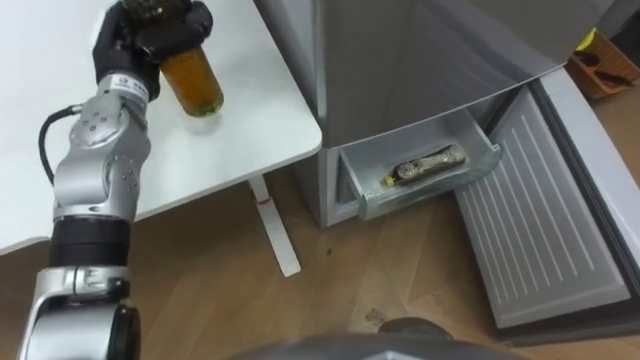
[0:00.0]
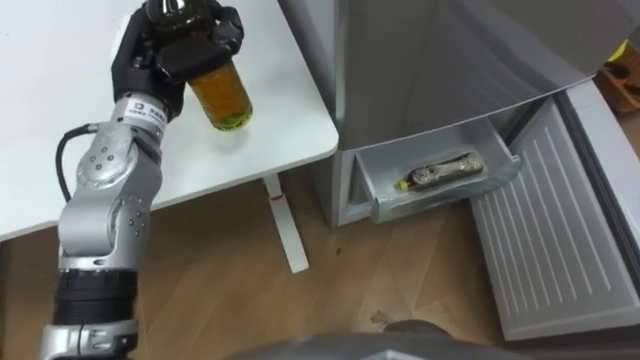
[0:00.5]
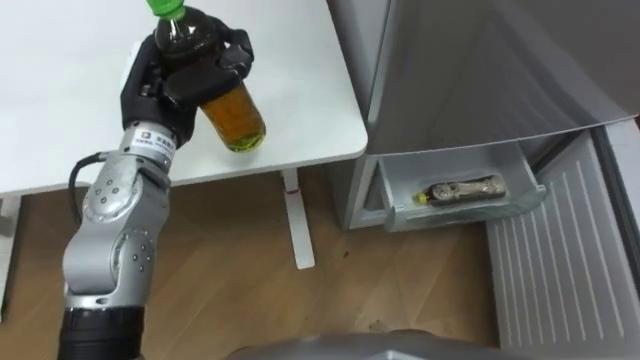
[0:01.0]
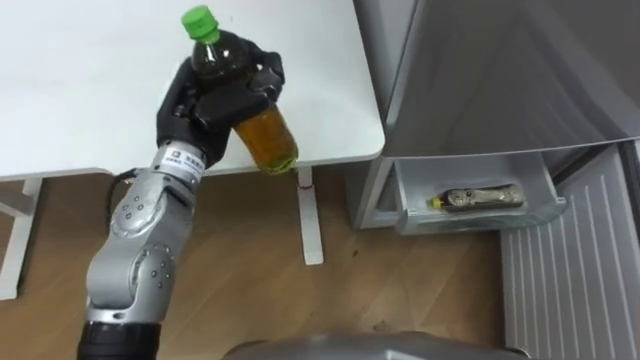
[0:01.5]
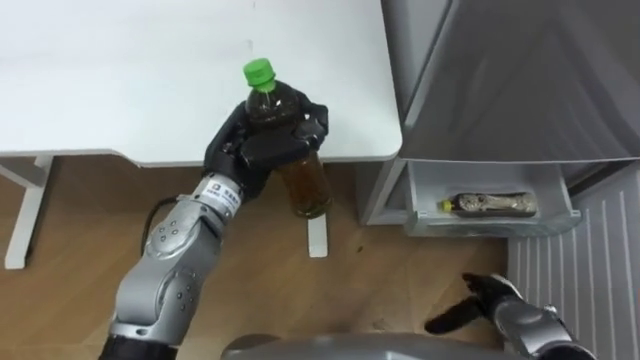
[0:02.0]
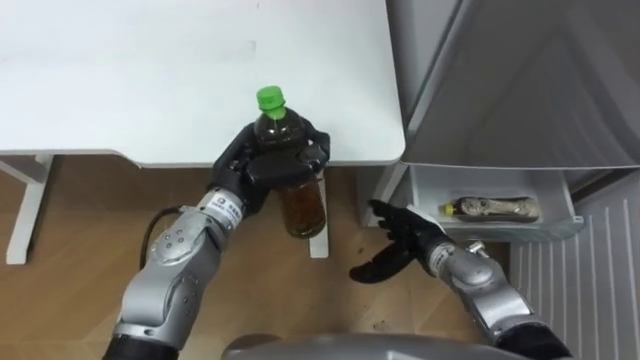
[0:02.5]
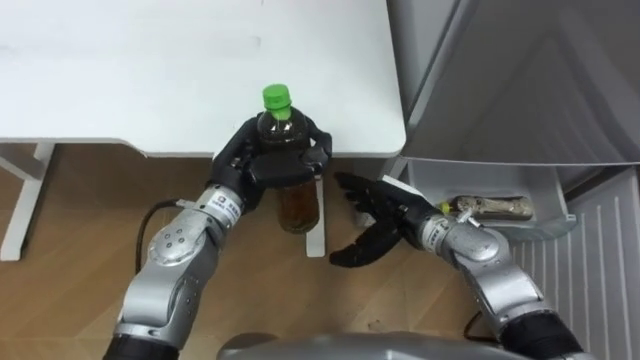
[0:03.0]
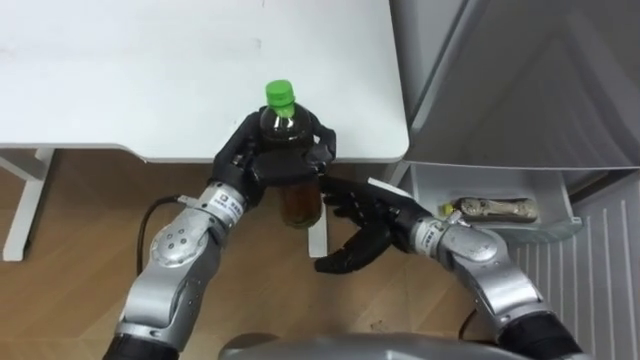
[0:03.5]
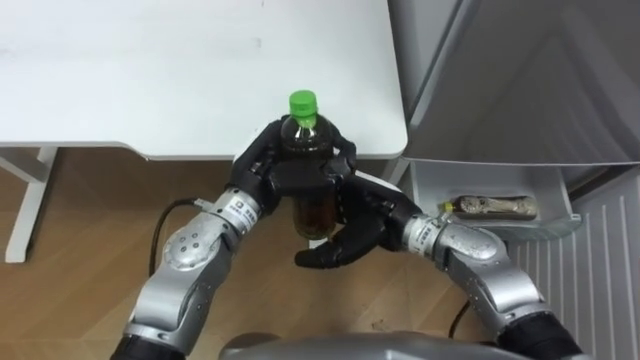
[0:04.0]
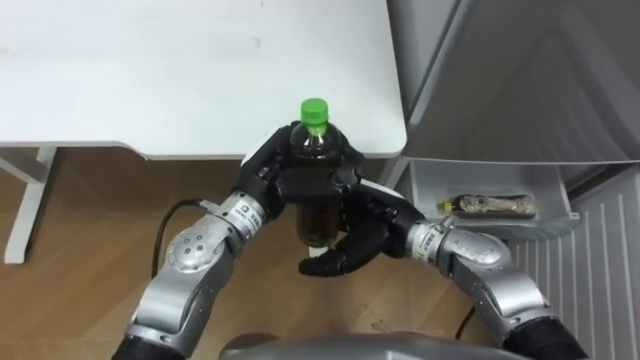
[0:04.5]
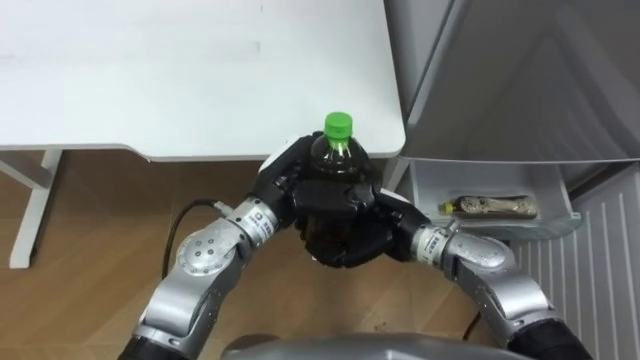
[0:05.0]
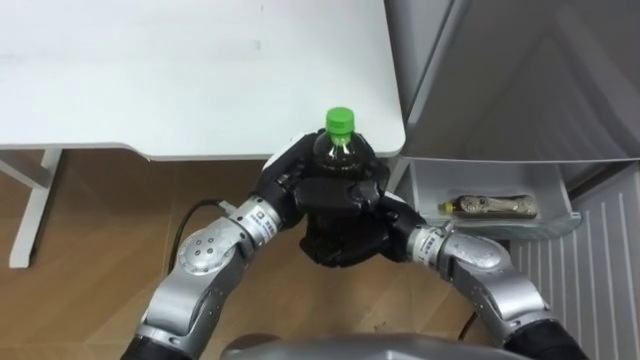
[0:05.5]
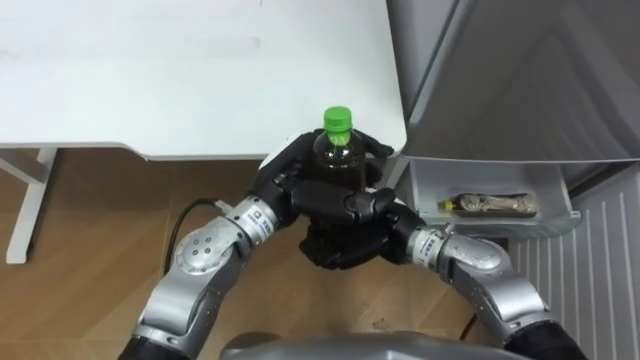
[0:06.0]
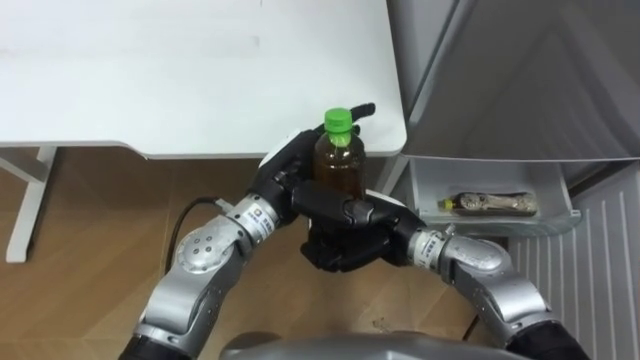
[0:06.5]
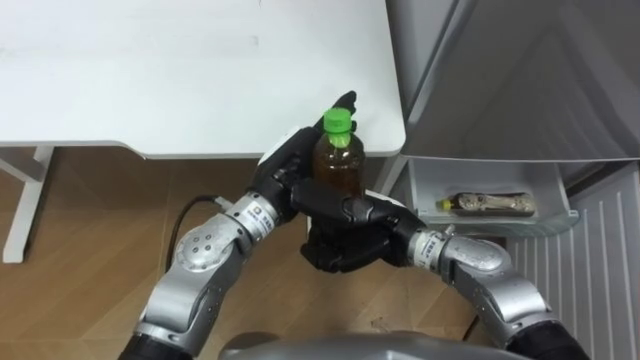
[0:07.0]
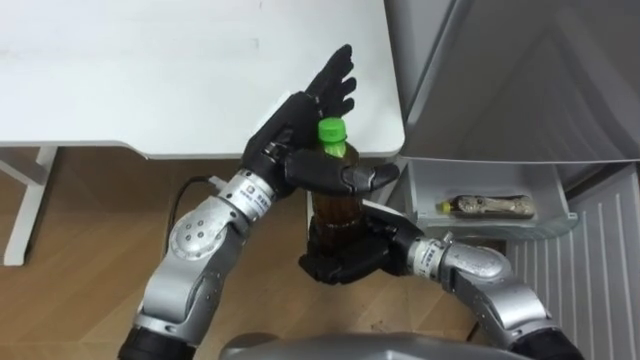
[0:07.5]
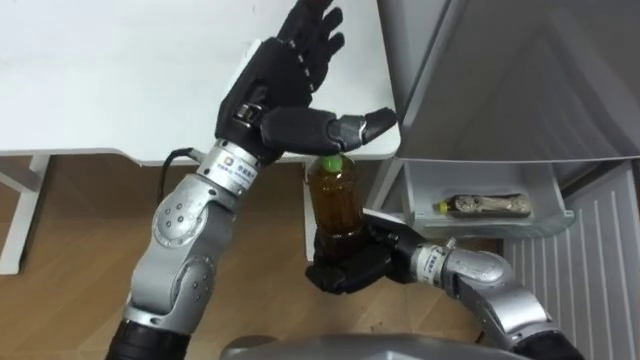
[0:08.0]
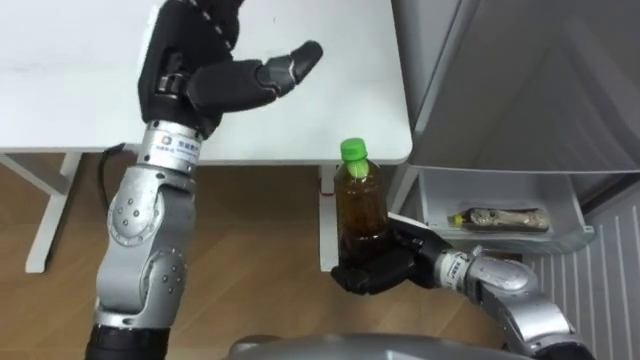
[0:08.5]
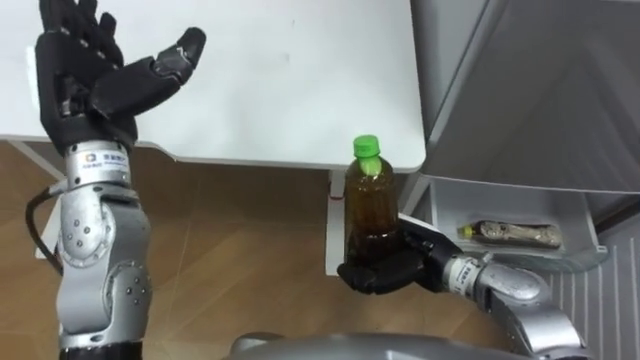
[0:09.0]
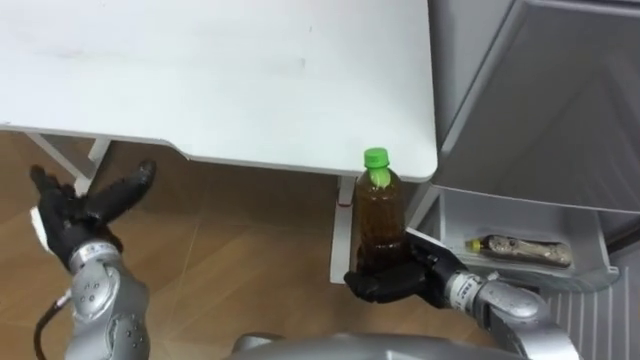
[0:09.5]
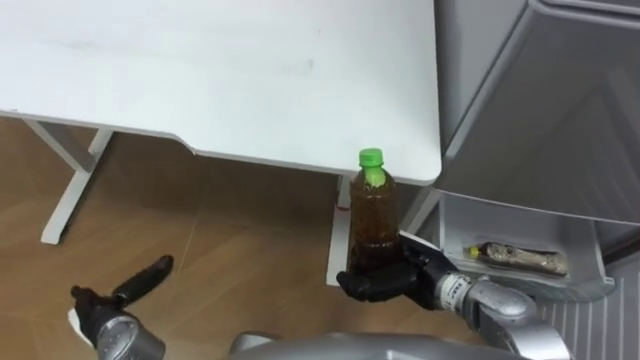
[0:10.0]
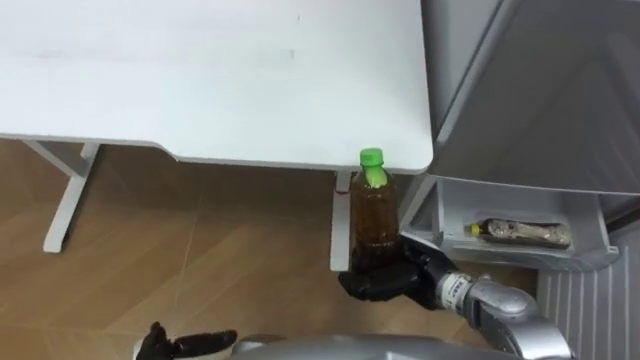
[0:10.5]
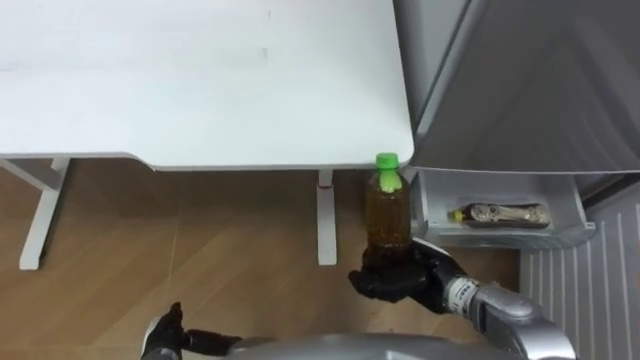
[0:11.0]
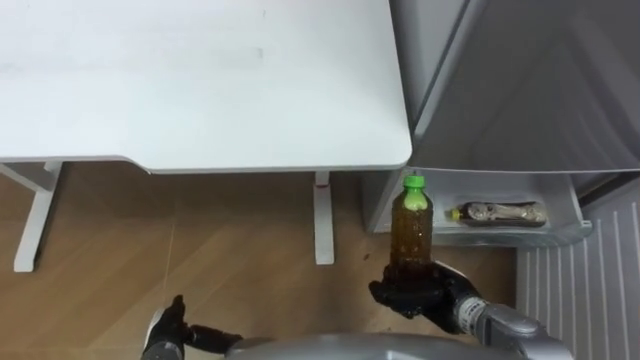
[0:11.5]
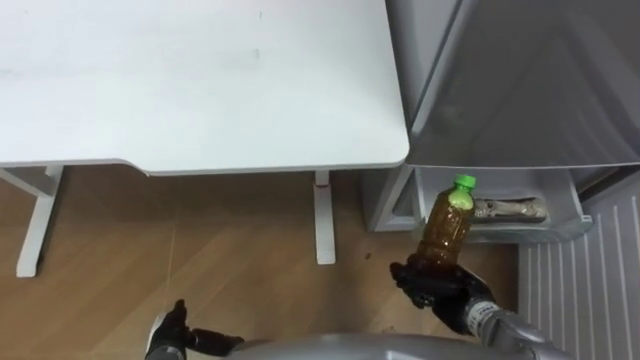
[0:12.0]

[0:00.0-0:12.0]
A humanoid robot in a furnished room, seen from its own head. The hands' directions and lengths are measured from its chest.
Task of the whole recording: Place the drink on the table on the bottom shelf of the refrigerator, then close the drawer and the refrigerator door.
0:00.0 to 0:02.0: The left hand shifts approximately 15 cm to the right and backward.
0:02.0 to 0:04.0: The right hand is displaced to the left, upward and forward by approximately 25 cm.
0:04.0 to 0:06.0: The right hand closes its fingers.
0:06.0 to 0:08.0: The left hand travels upward by roughly 10 cm, and opens its fingers.
0:08.0 to 0:10.0: The right hand goes roughly 5 cm to the right; the left hand heads downward, to the left and backward, covering roughly 40 cm.
0:10.0 to 0:12.0: The right hand shifts about 10 cm to the right and downward.

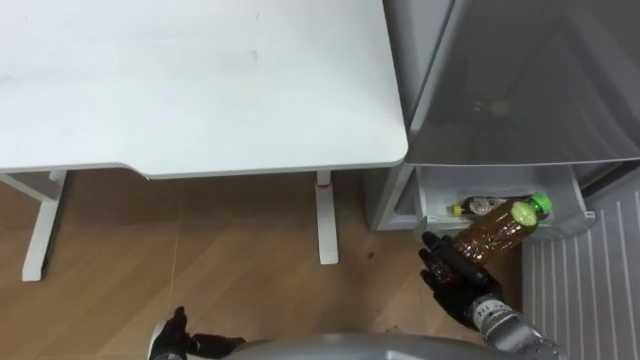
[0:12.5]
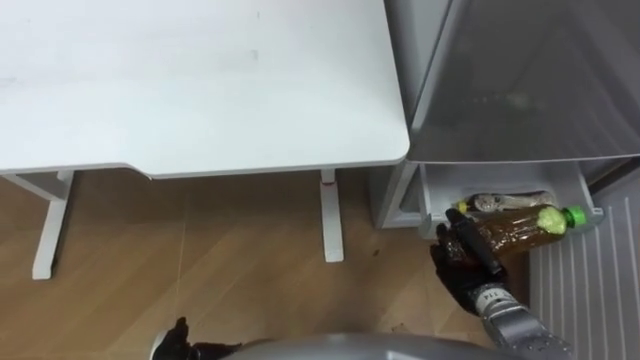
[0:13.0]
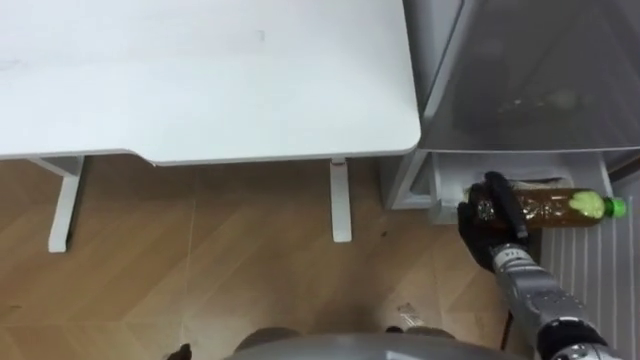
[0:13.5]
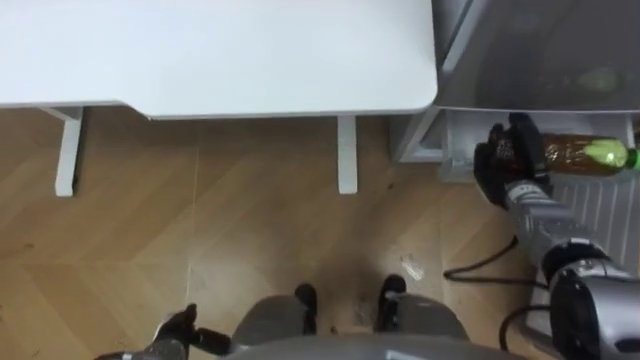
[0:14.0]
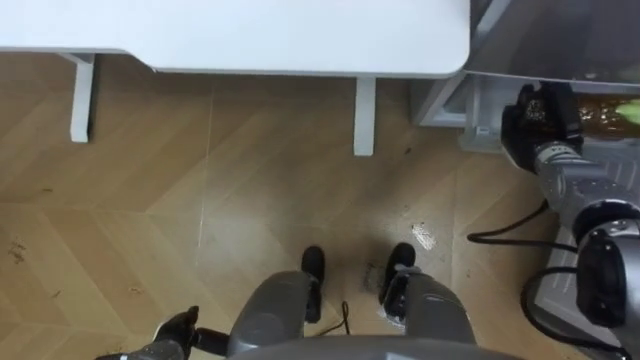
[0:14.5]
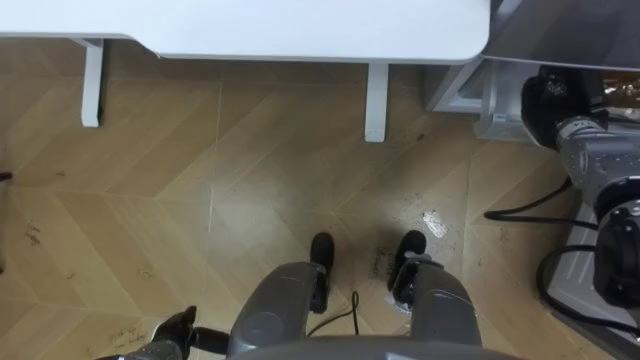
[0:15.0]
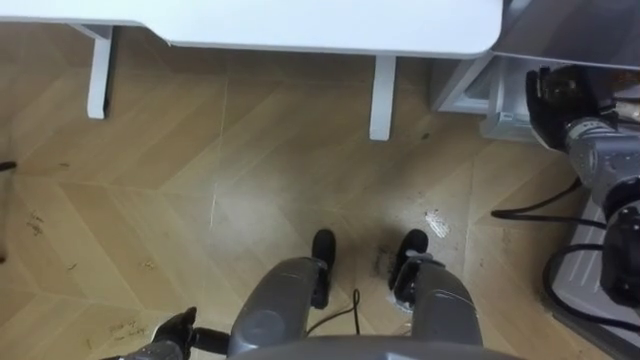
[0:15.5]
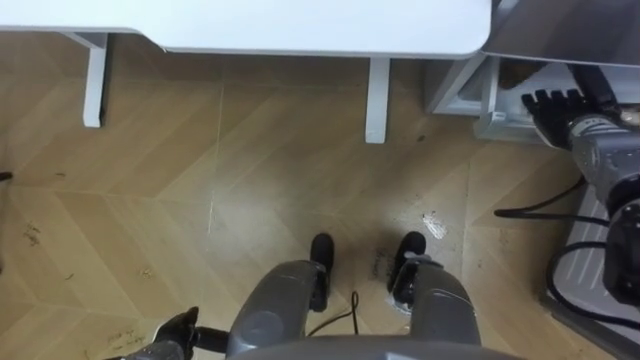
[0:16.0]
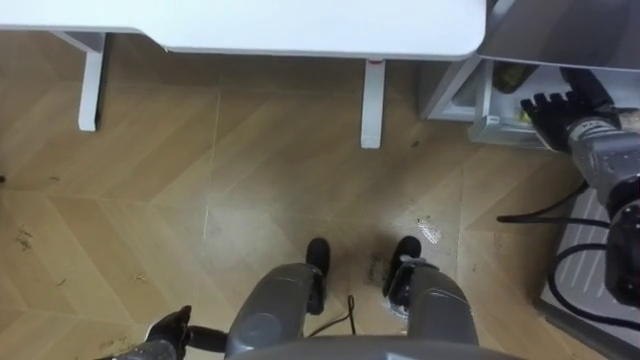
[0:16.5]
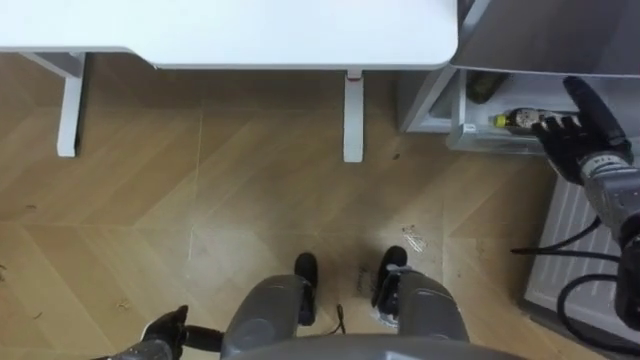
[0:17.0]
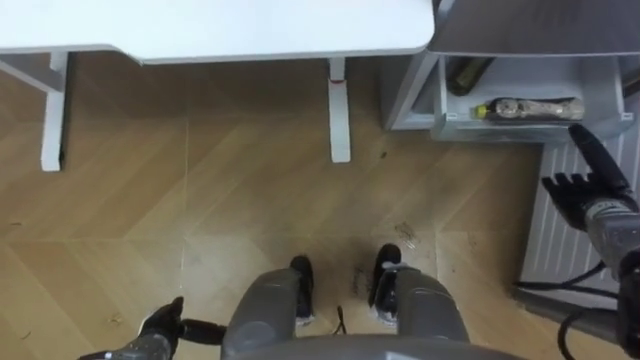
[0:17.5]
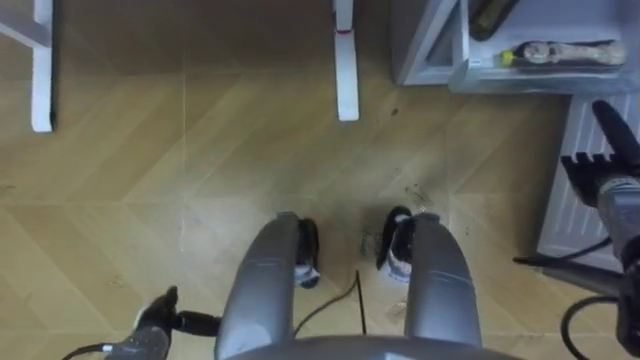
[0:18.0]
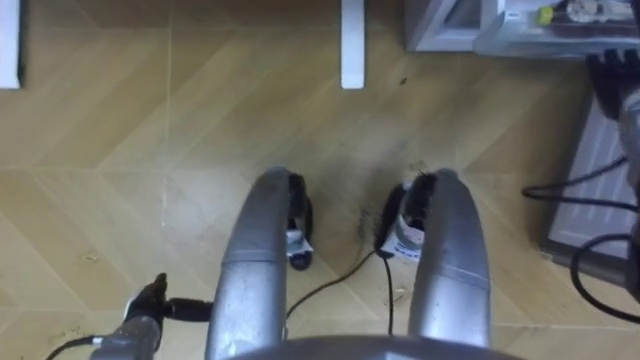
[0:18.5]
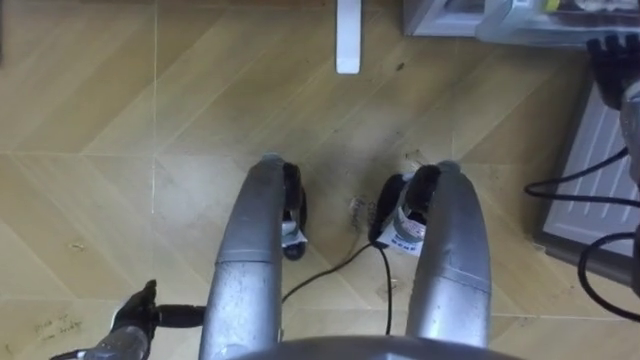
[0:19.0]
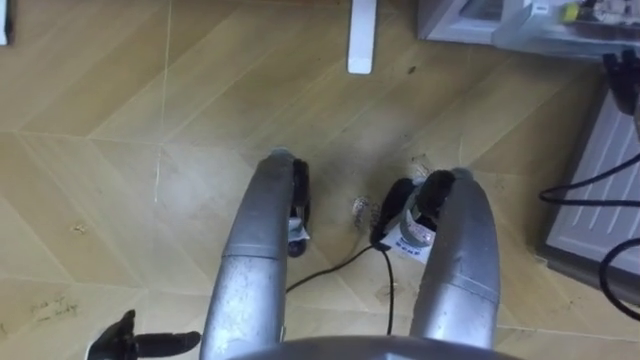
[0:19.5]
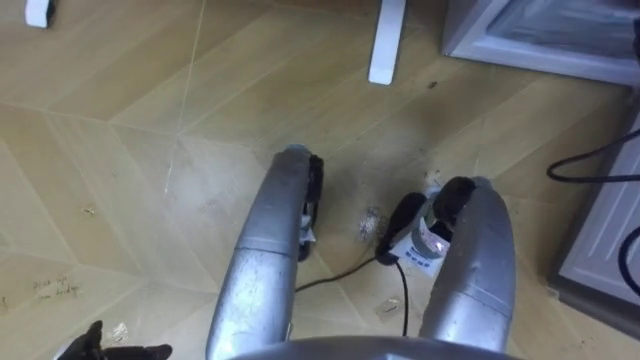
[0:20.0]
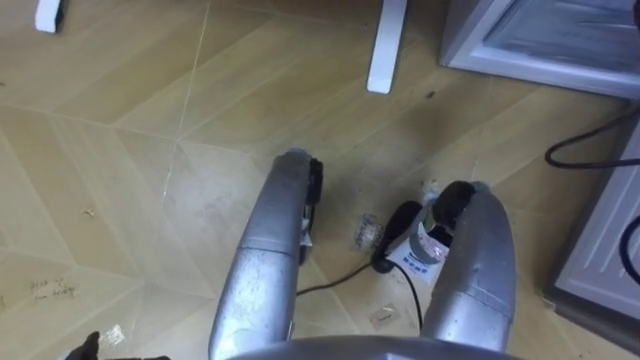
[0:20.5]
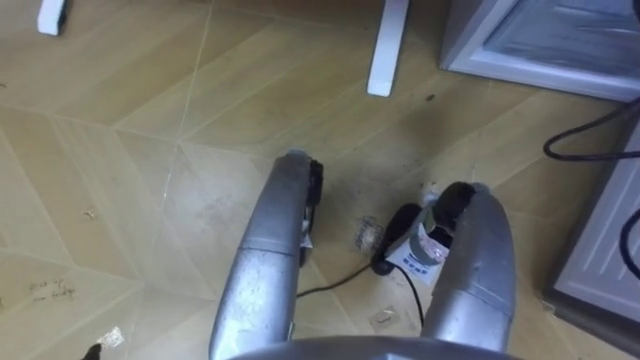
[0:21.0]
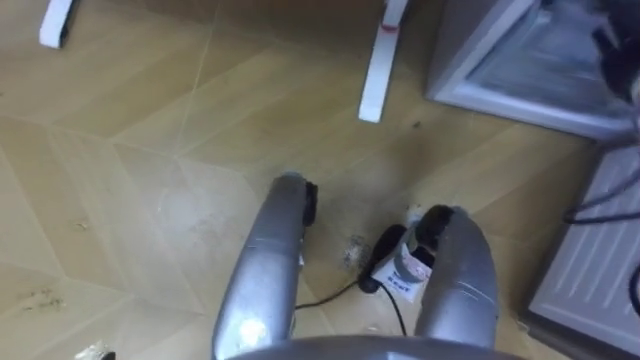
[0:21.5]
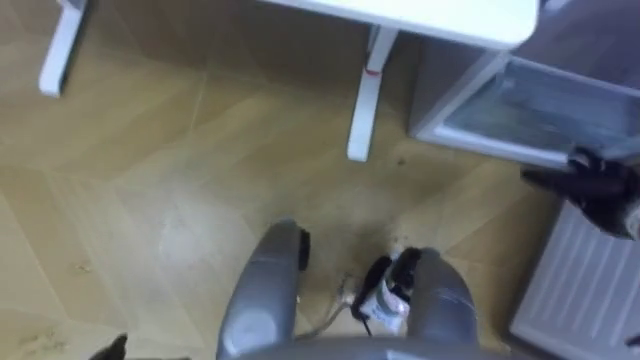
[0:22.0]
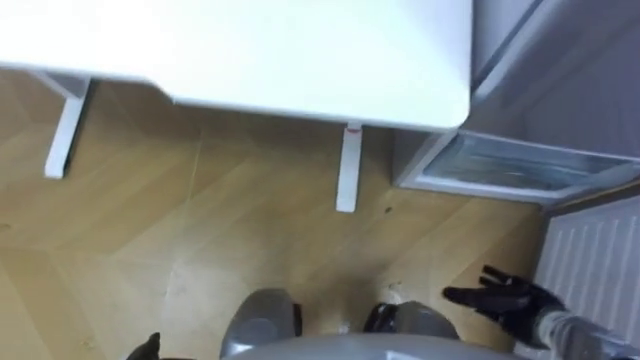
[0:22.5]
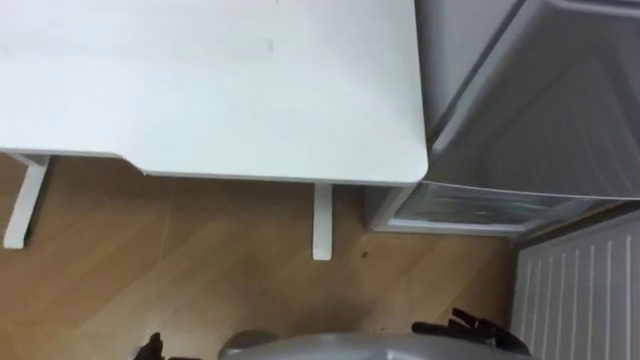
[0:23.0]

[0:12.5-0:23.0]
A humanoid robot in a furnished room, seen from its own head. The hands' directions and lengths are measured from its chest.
Task of the whole recording: Place the drink on the table on the bottom shelf of the refrigerator, then close the drawer and the refrigerator door.
0:12.5 to 0:14.5: The right hand is displaced forward, upward and to the right by roughly 25 cm.
0:14.5 to 0:16.5: The right hand opens its fingers.
0:16.5 to 0:19.0: The left hand changes place by roughly 5 cm; the right hand goes some 5 cm upward.
